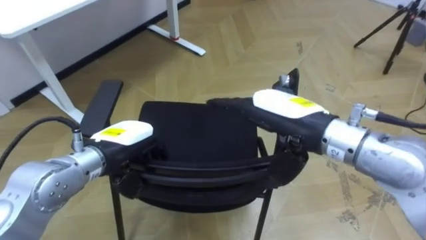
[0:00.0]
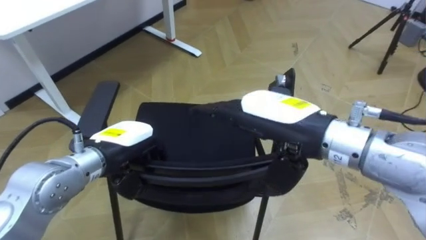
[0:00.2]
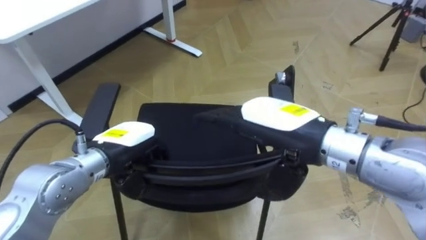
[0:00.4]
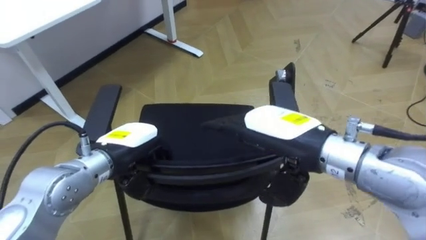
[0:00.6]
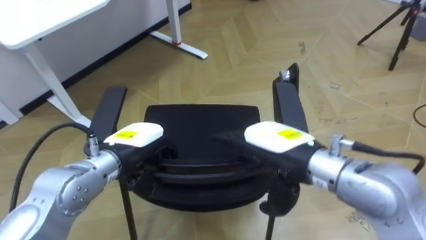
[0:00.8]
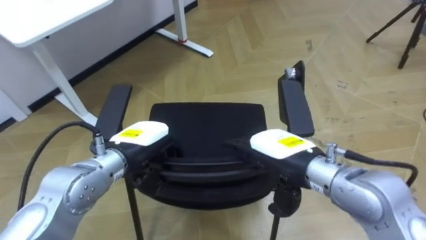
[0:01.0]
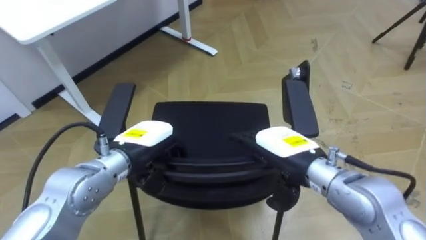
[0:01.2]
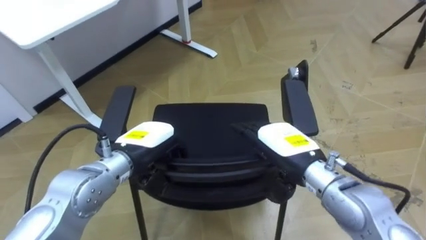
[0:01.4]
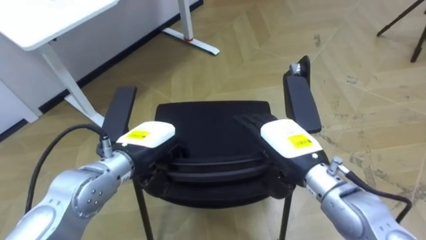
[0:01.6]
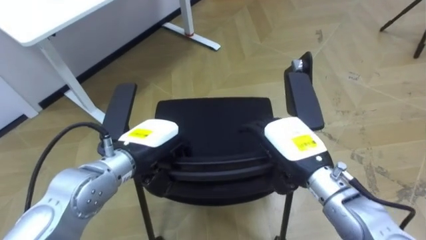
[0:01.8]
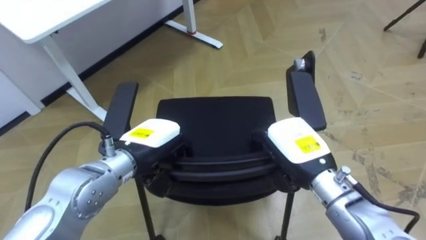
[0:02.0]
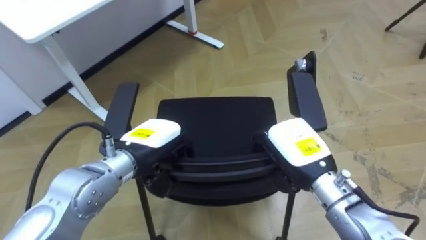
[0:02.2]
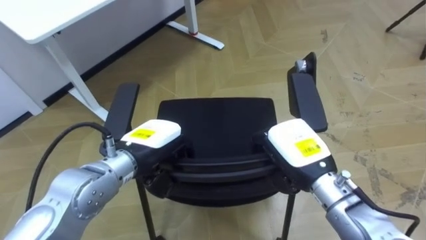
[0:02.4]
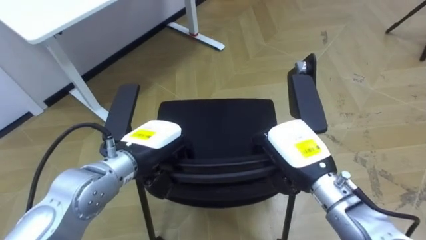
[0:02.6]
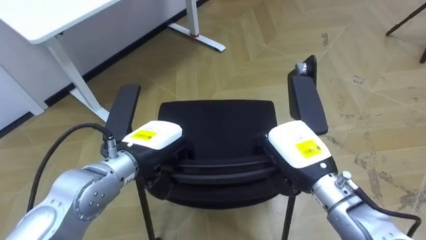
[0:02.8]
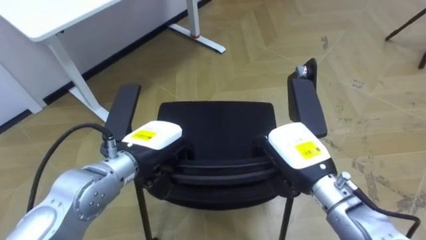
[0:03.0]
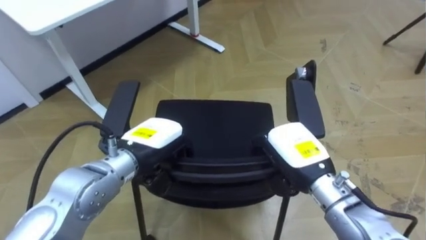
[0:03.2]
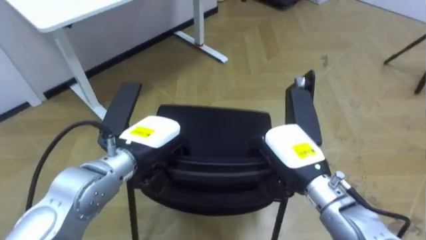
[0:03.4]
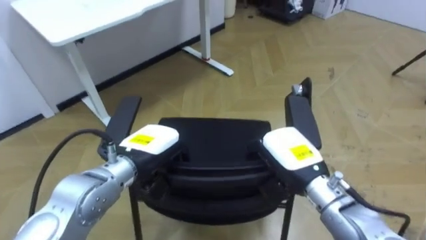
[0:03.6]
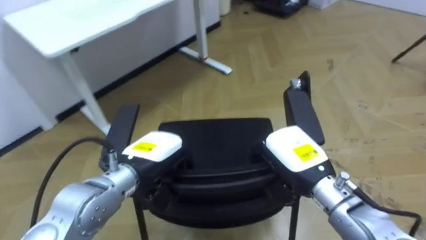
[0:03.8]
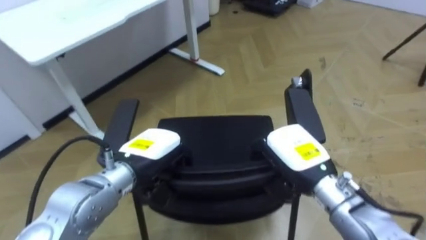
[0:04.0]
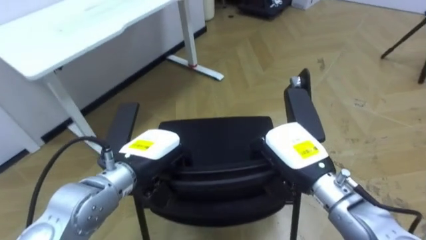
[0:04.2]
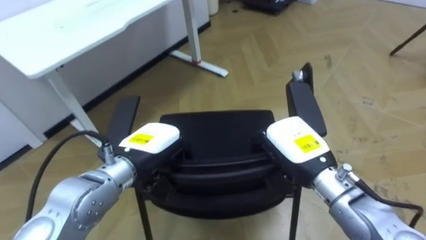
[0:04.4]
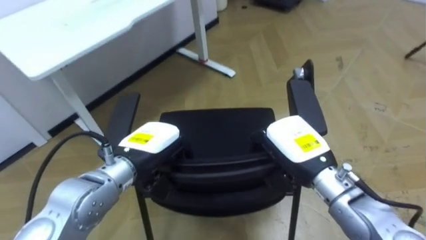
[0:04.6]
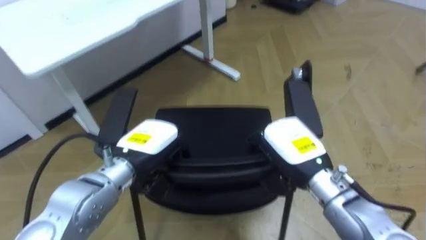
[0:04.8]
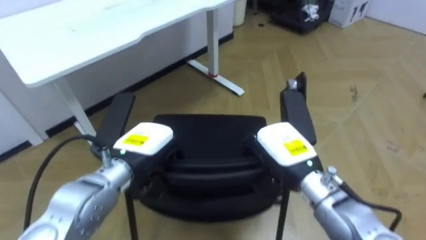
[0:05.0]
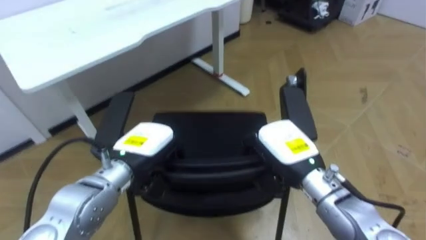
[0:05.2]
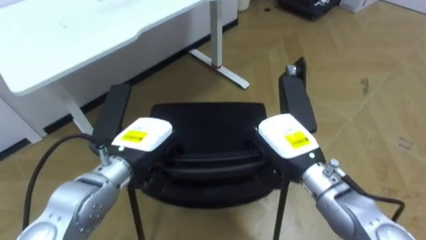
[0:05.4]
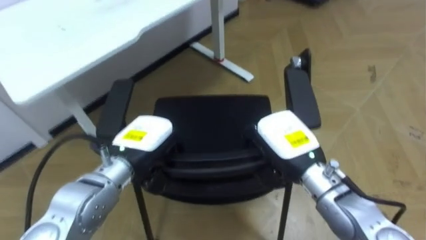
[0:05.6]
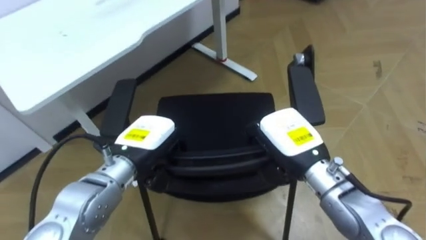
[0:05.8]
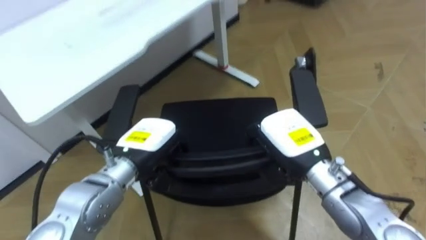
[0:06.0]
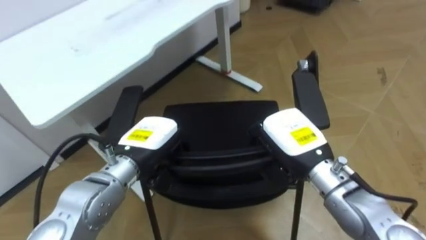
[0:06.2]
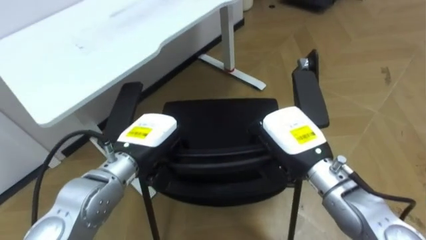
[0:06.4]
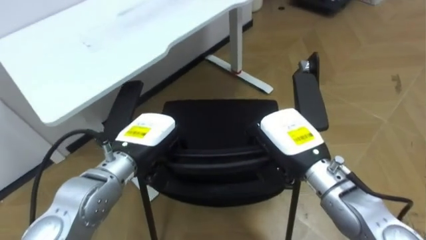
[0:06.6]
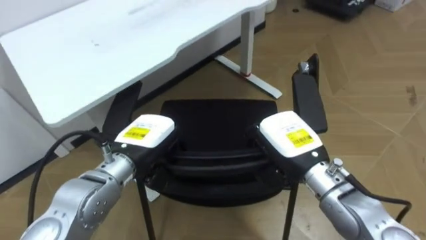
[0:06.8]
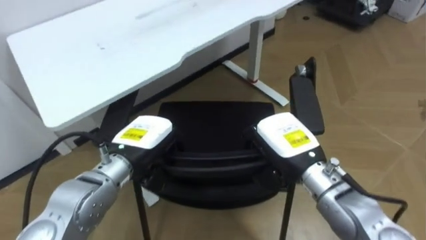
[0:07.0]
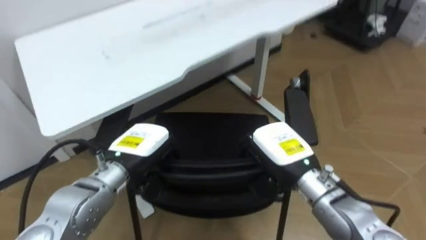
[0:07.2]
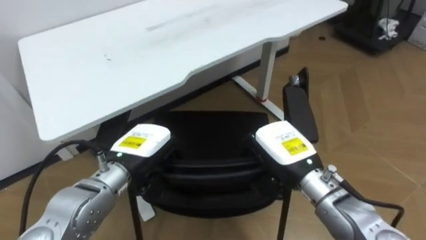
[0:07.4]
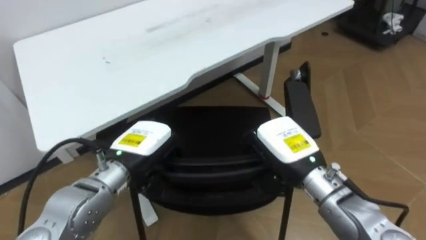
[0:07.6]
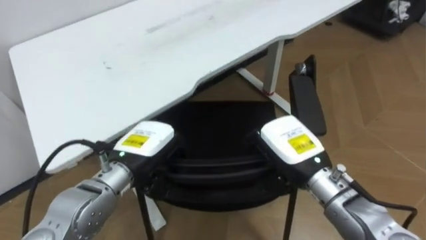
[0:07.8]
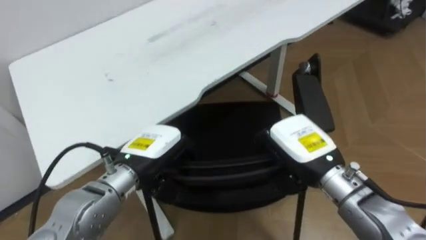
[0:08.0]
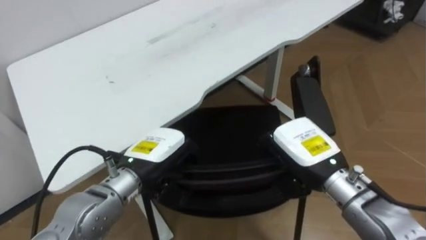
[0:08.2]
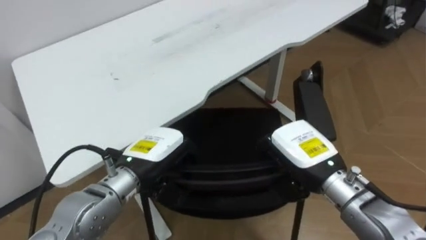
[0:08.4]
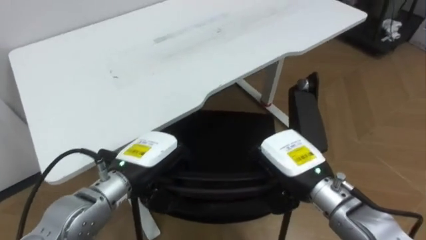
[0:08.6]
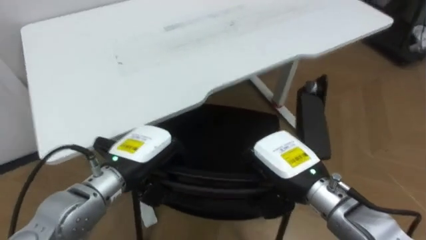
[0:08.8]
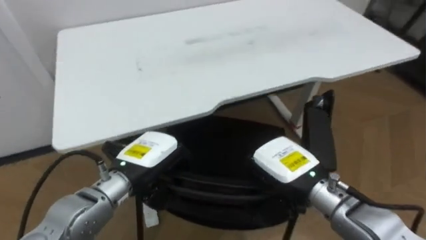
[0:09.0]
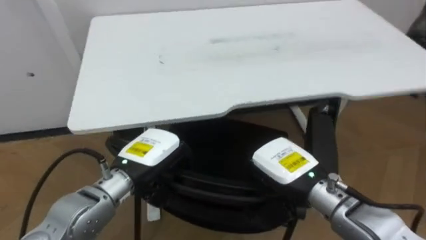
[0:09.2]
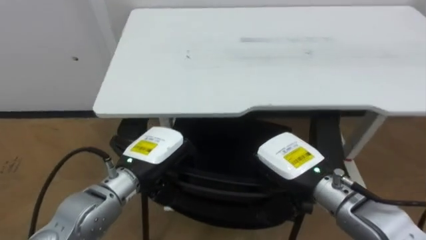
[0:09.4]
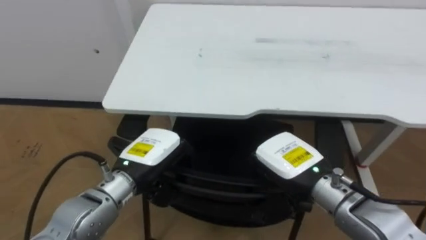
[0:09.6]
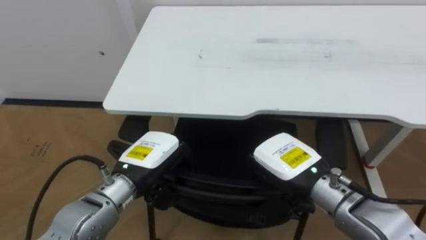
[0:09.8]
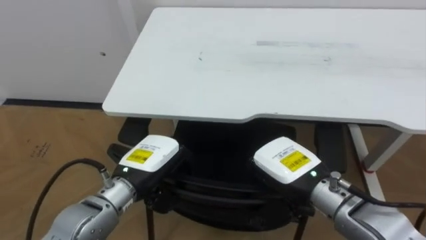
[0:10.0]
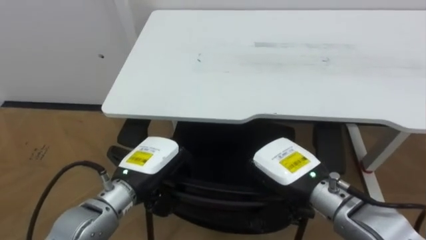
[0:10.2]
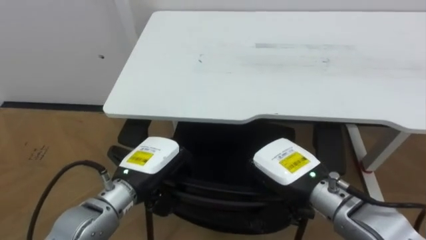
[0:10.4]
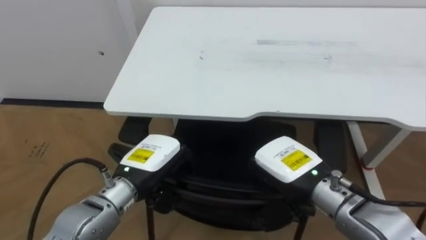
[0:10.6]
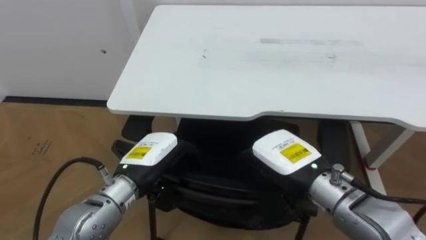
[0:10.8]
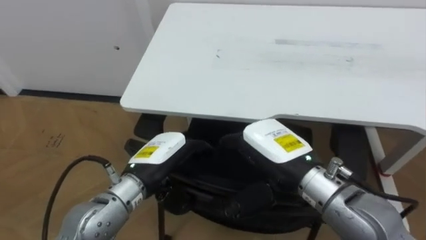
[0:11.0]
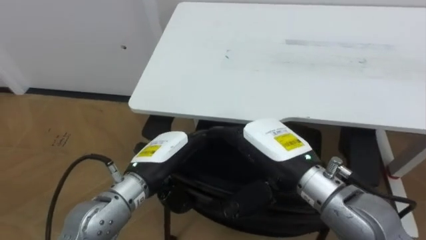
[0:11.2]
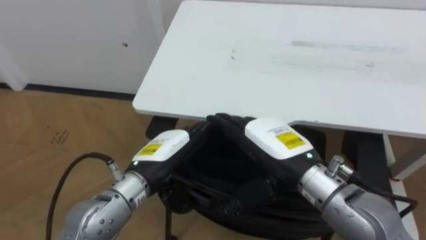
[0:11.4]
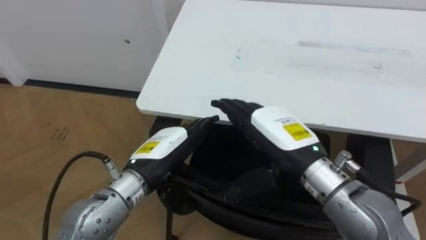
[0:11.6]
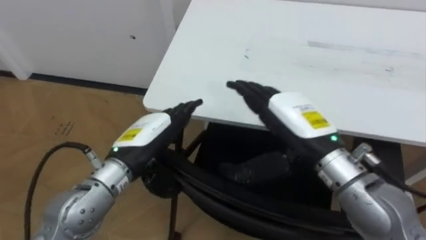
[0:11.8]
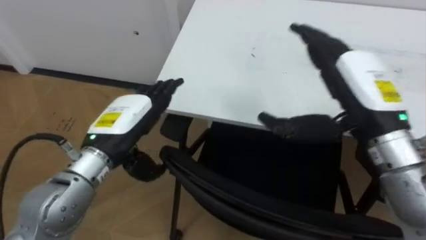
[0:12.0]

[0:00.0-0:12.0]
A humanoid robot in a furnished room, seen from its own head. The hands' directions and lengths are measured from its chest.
Task of the whole recording: Push the chair under the table.
0:00.0 to 0:01.6: The right hand travels downward by some 10 cm.
0:01.6 to 0:03.0: The right hand closes.
0:09.0 to 0:10.4: The robot turns to its left by approximately 25 degrees.
0:10.4 to 0:12.0: The right hand moves upward and to the right, some 15 cm, and opens up. The left hand heads upward, covering approximately 5 cm, and opens up.

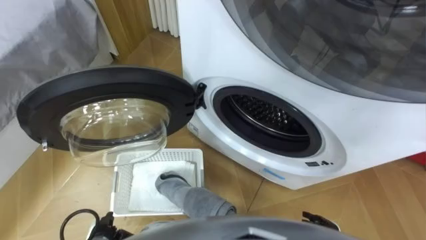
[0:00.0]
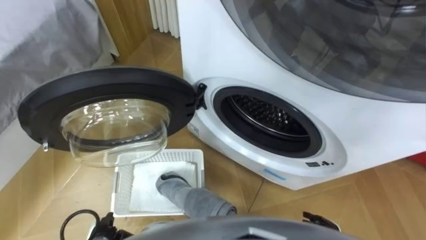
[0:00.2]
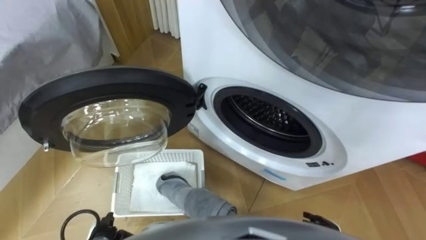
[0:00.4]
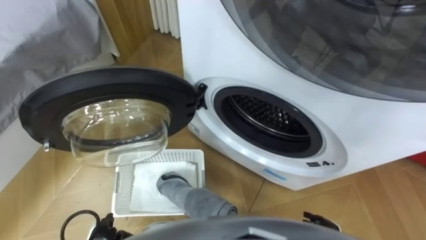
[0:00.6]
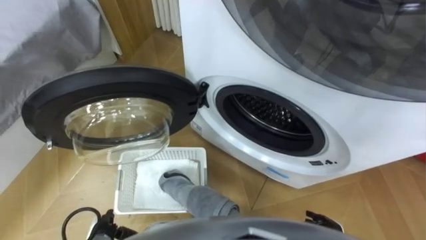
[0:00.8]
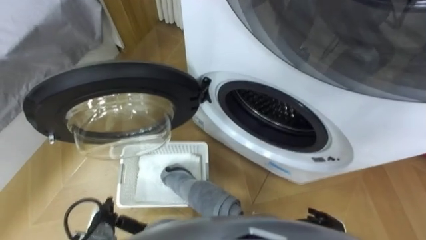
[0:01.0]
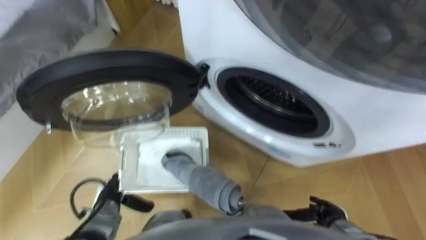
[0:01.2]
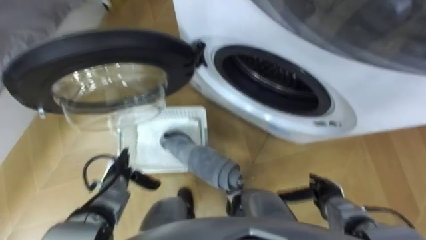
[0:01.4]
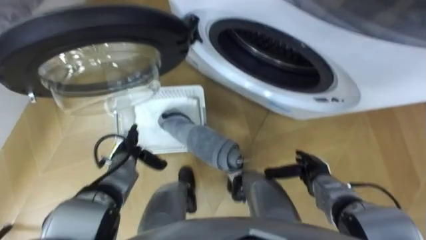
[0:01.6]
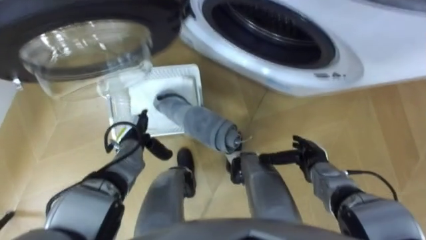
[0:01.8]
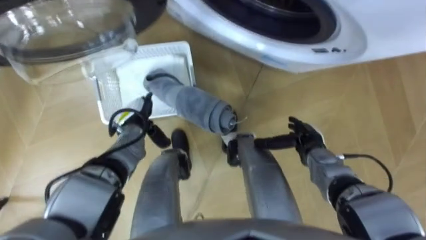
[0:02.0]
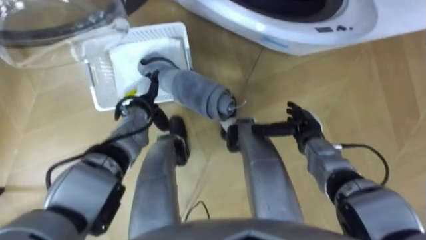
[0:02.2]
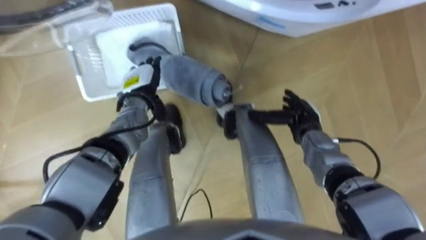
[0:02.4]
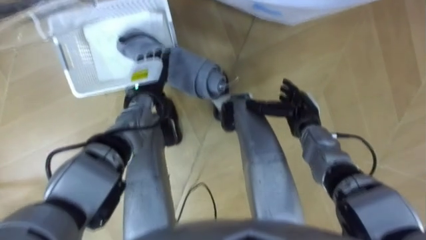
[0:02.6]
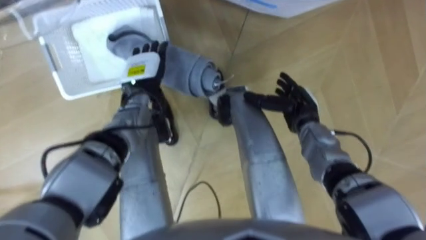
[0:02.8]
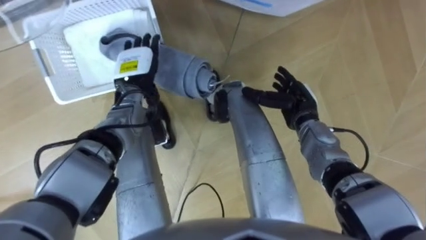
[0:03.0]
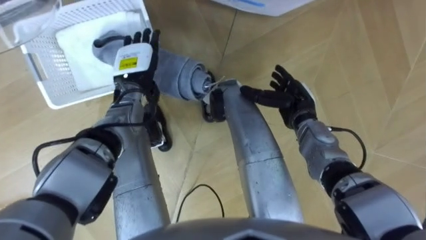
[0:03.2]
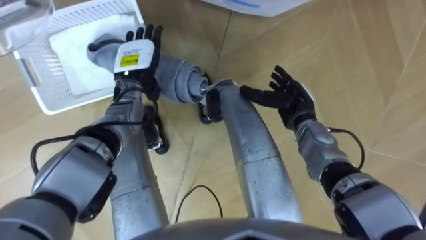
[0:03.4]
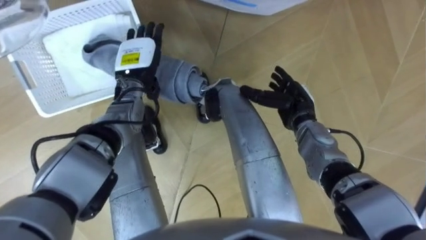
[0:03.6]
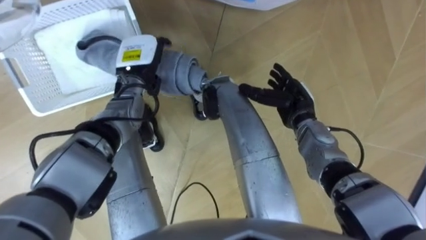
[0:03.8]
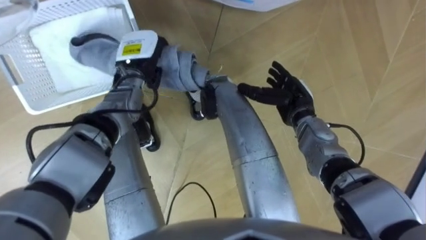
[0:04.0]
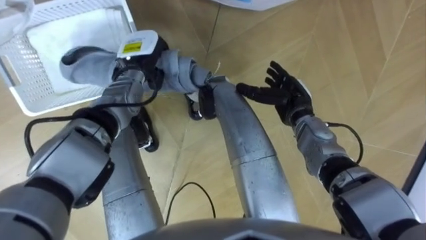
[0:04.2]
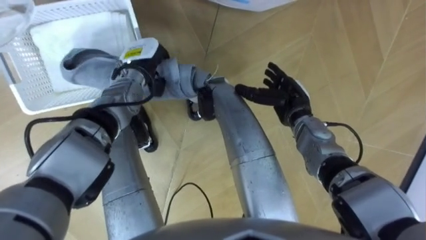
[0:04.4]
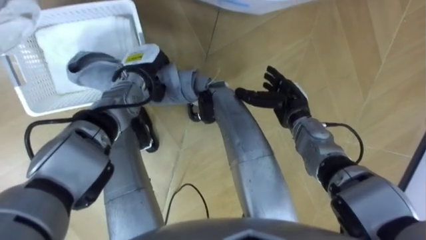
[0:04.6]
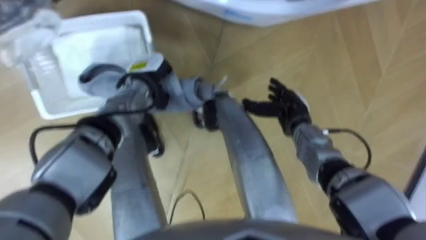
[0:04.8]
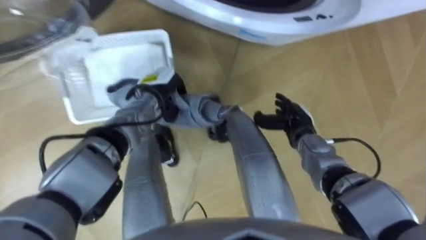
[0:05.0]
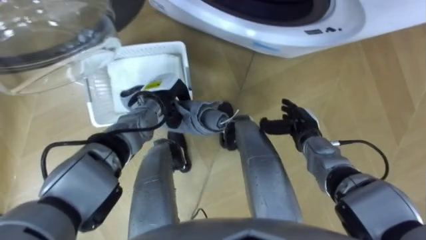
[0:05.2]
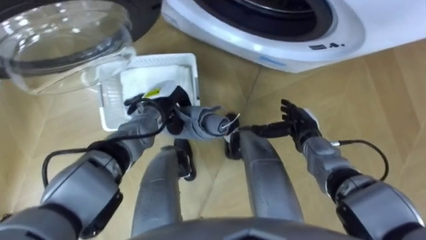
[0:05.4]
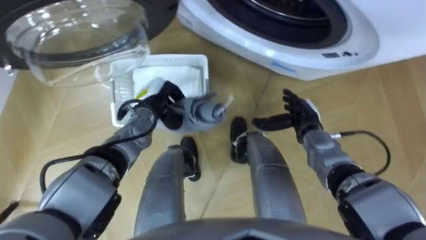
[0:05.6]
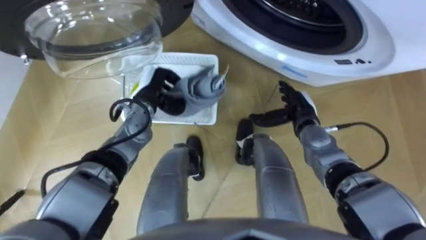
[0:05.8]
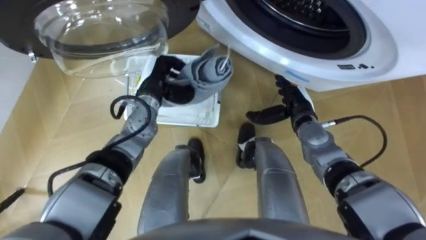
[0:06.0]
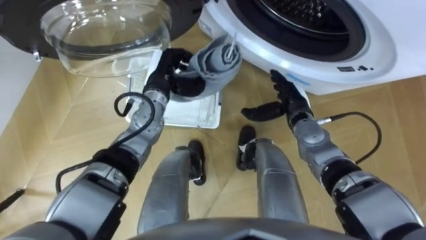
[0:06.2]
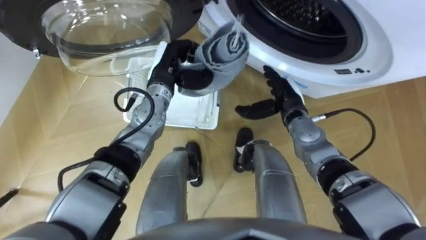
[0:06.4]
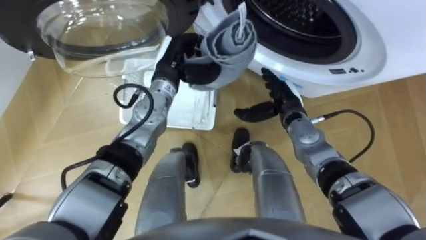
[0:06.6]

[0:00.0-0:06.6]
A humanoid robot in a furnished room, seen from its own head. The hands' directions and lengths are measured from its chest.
Task of the whole recording: Take the towel from the basket and put it into the washing machine.
0:01.6 to 0:03.2: The left hand is displaced forward and upward by roughly 20 cm, while the right hand shifts some 20 cm forward, upward and to the left.
0:03.2 to 0:05.0: The left hand shifts by approximately 5 cm, and closes its fingers.
0:05.0 to 0:06.6: The left hand is displaced upward by some 5 cm; the right hand ends up roughly 5 cm from where it was.
